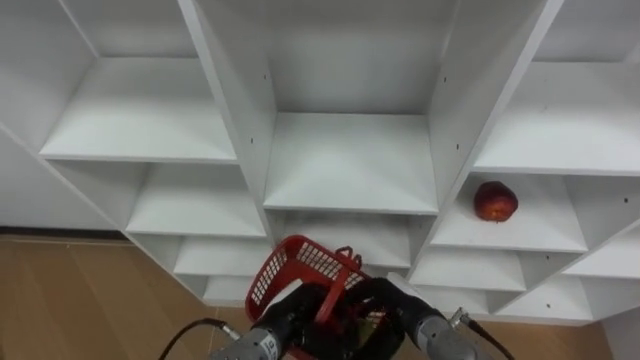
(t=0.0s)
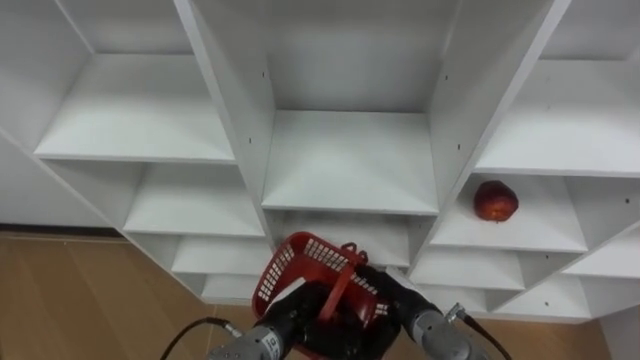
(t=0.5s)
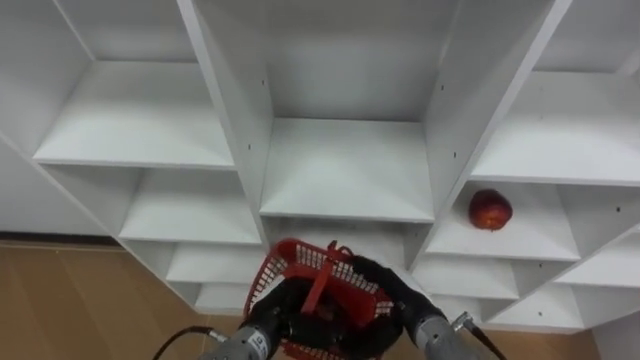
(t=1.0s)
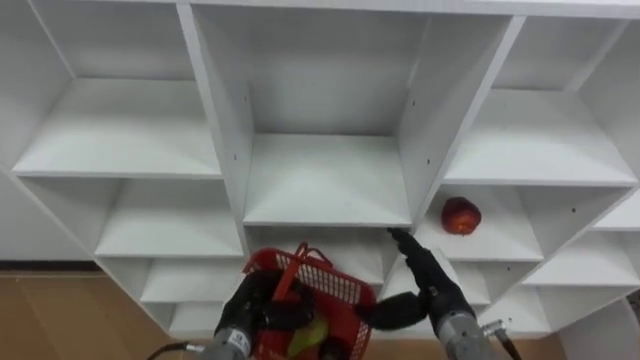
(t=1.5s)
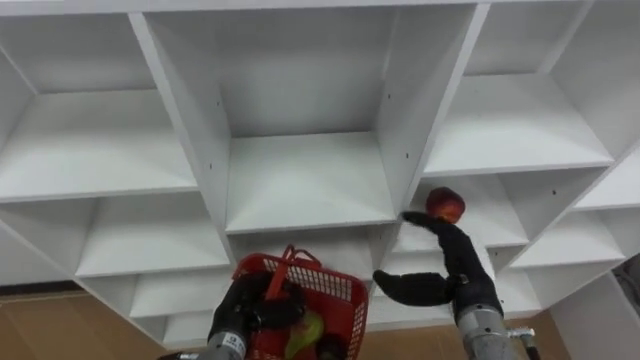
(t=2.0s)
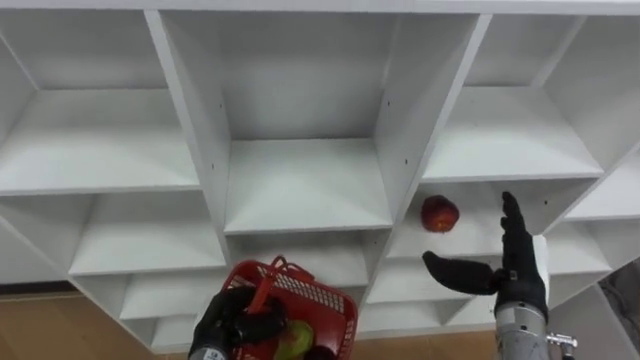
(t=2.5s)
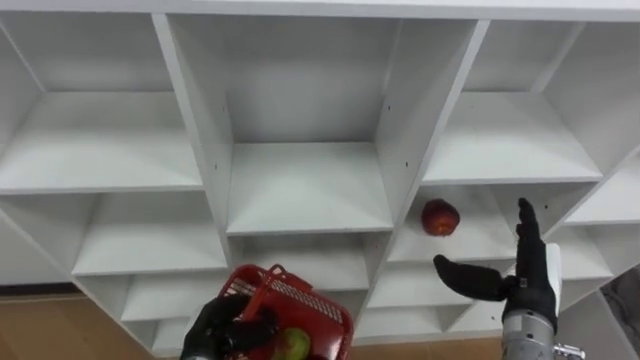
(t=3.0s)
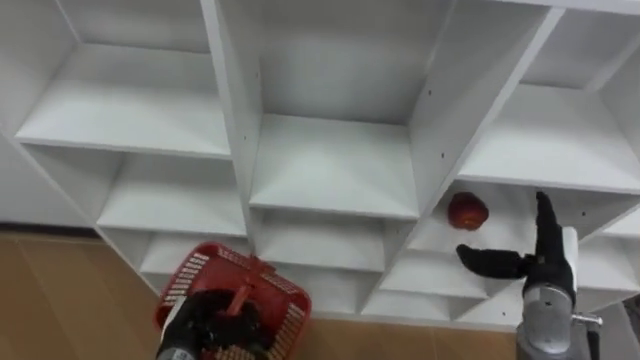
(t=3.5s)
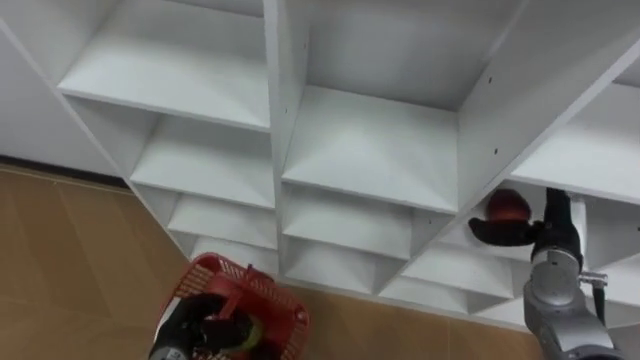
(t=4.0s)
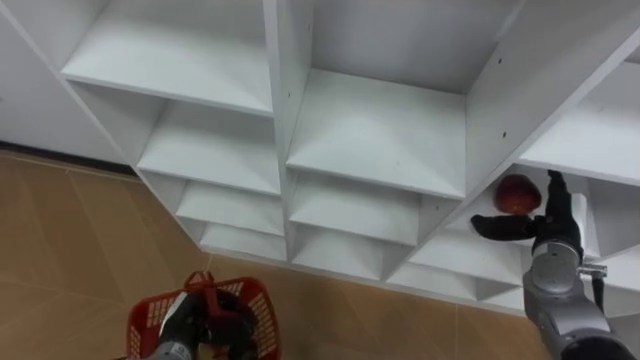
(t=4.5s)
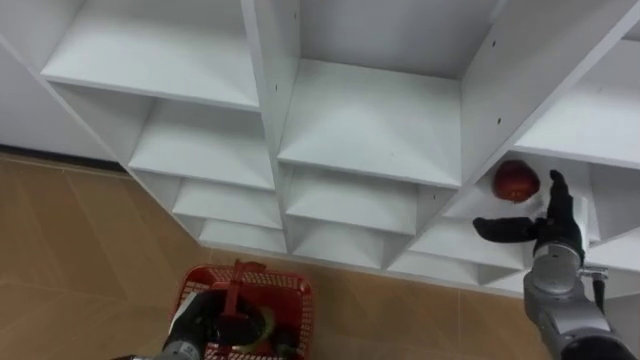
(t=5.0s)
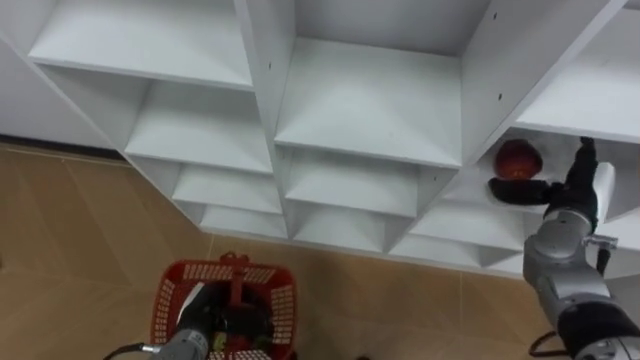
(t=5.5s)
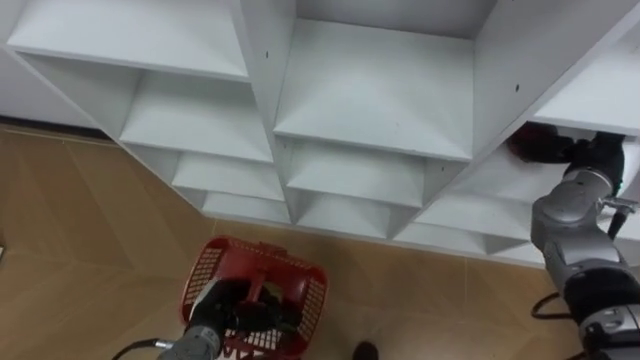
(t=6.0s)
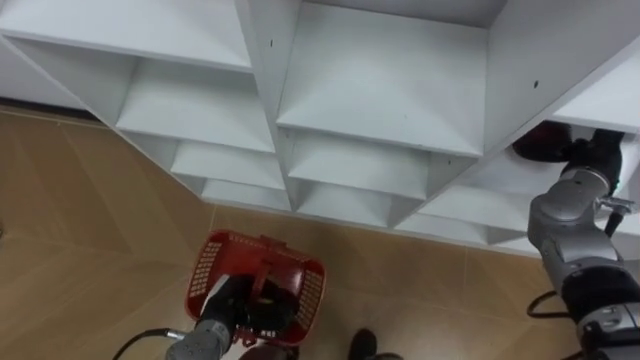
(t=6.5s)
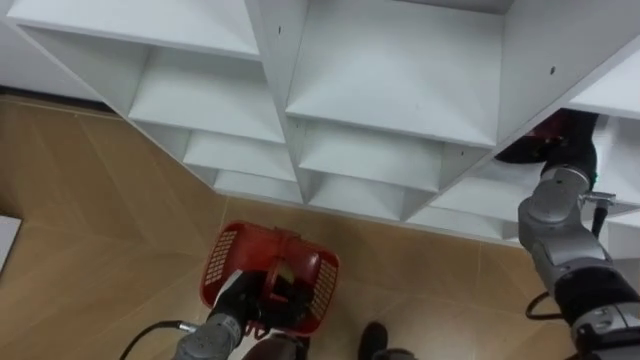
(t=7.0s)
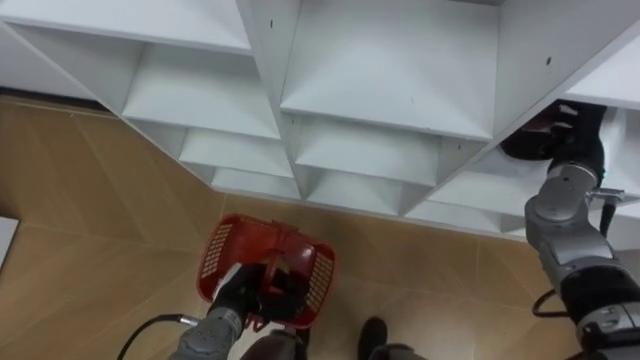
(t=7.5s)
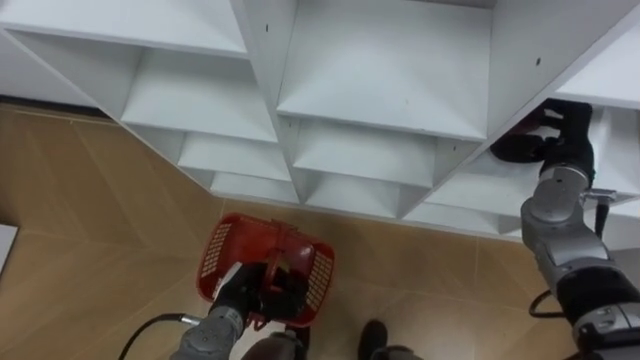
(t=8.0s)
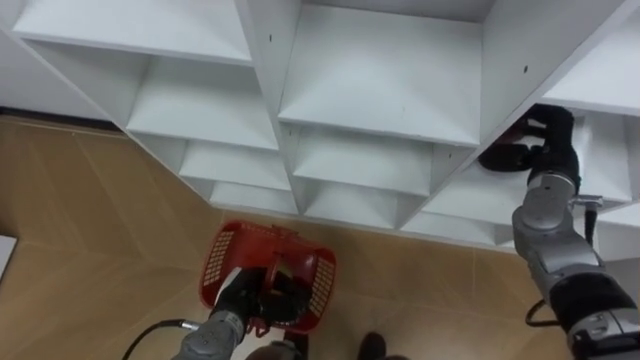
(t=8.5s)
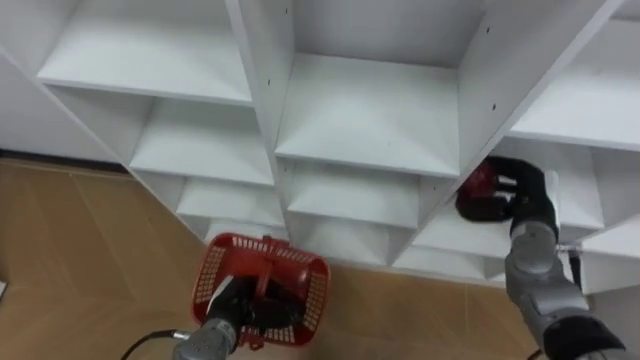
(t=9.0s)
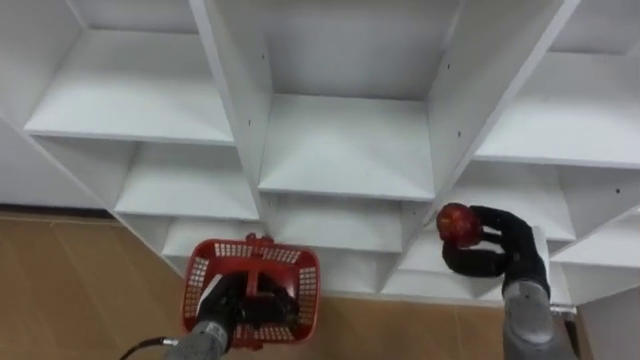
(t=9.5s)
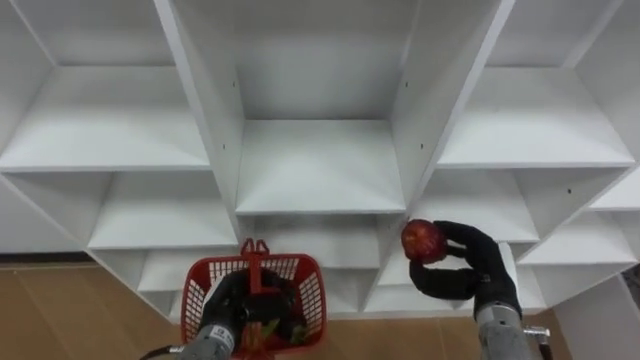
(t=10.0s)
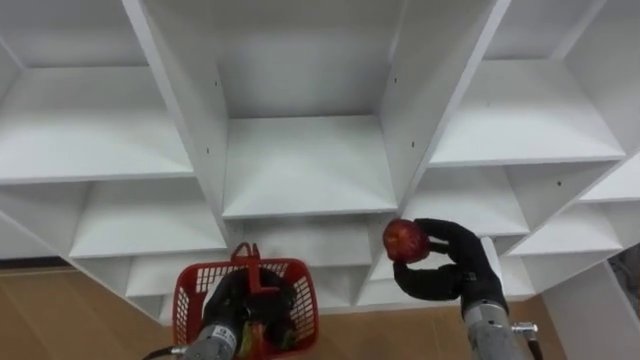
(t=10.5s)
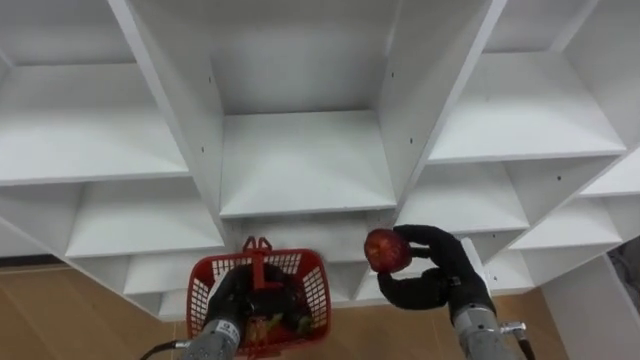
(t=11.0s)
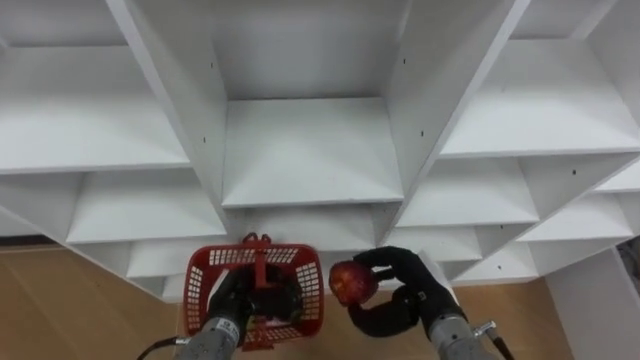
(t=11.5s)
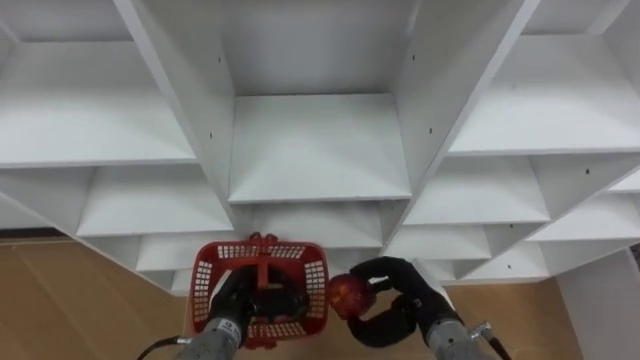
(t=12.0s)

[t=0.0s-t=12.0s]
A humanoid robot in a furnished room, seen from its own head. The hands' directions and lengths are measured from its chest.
Task of the whole recording: Hold the basket and collect the fruits from 3 different cells of the closet into it.
t=0.0s to t=2.0s: The left hand travels to the left by roughly 5 cm; the right hand moves upward and to the right, some 10 cm.
t=2.0s to t=4.0s: The right hand goes roughly 15 cm to the right and forward; the left hand travels to the left by some 10 cm.
t=4.0s to t=6.0s: The right hand goes roughly 10 cm upward and forward.
t=6.0s to t=8.0s: The right hand closes up.
t=8.0s to t=10.0s: The right hand heads backward, downward and to the left, covering some 20 cm.
t=10.0s to t=12.0s: The right hand moves to the left, some 10 cm.

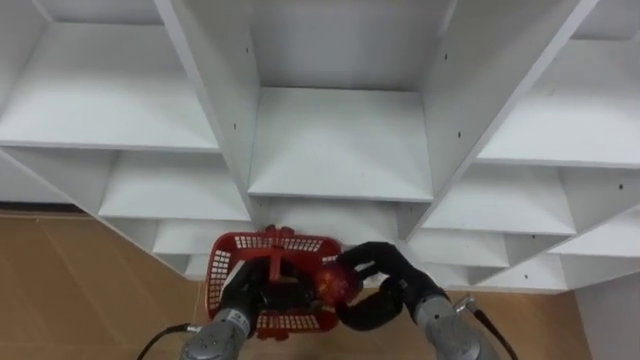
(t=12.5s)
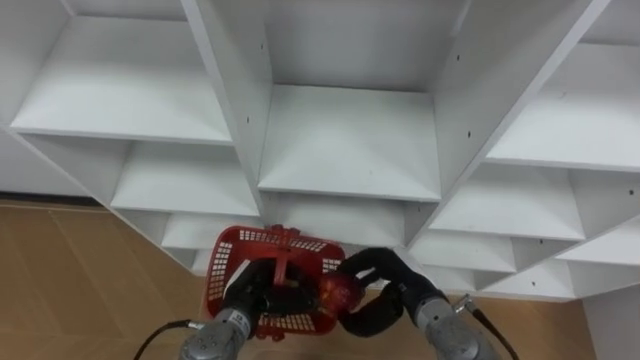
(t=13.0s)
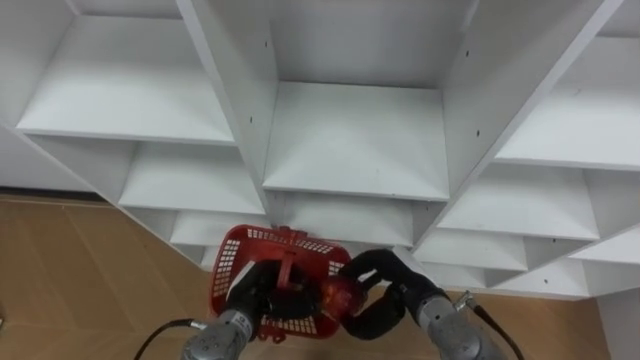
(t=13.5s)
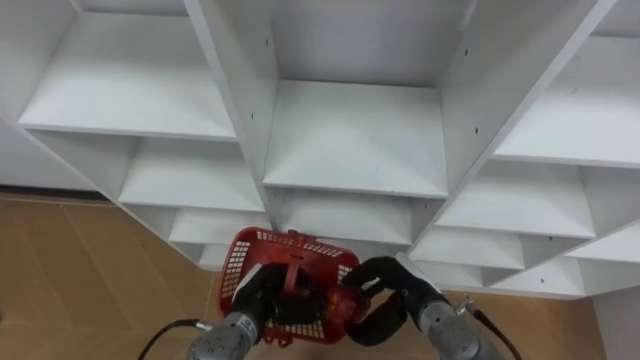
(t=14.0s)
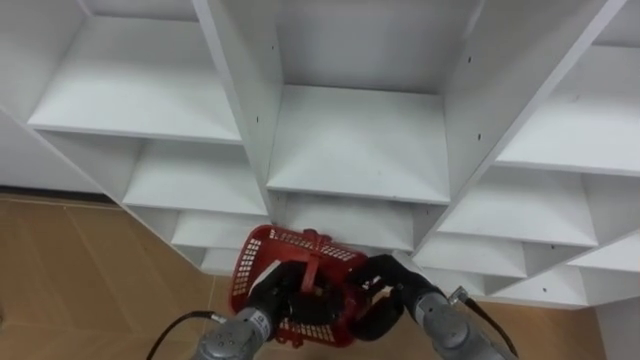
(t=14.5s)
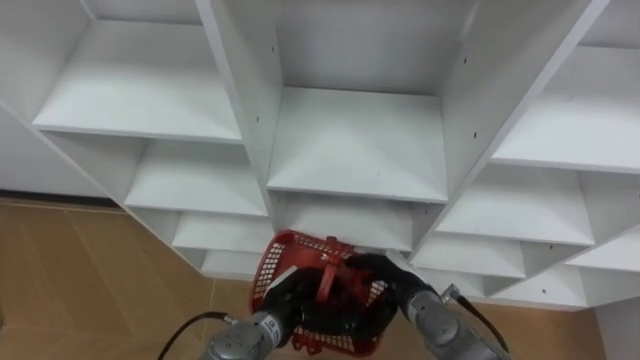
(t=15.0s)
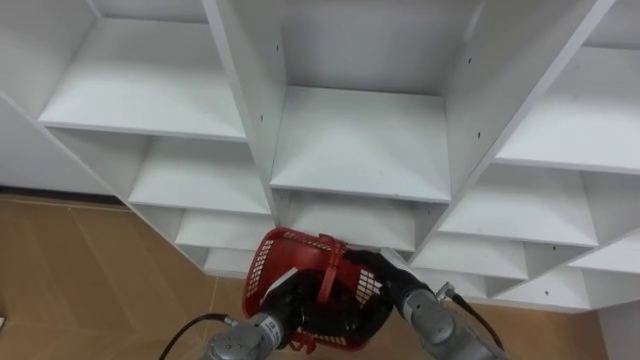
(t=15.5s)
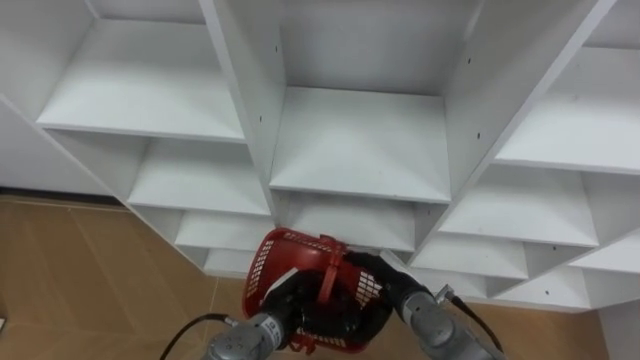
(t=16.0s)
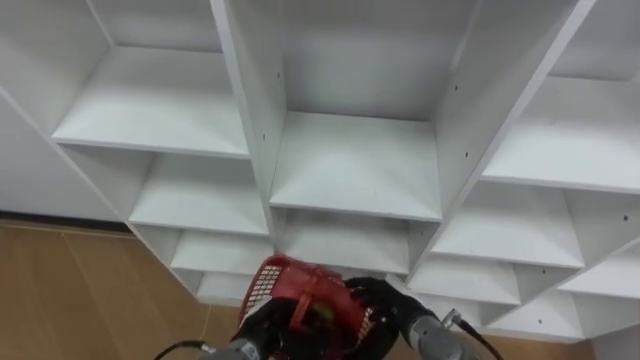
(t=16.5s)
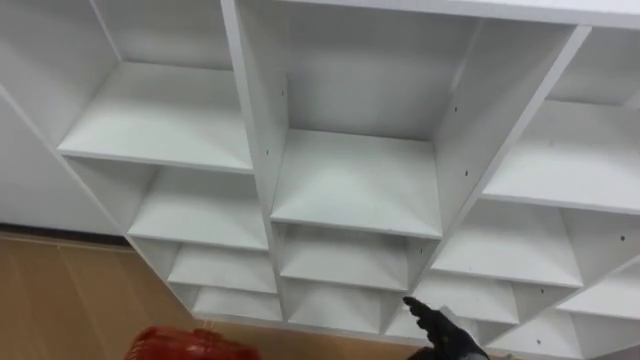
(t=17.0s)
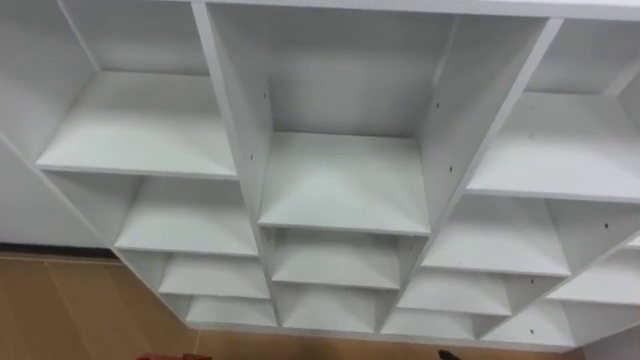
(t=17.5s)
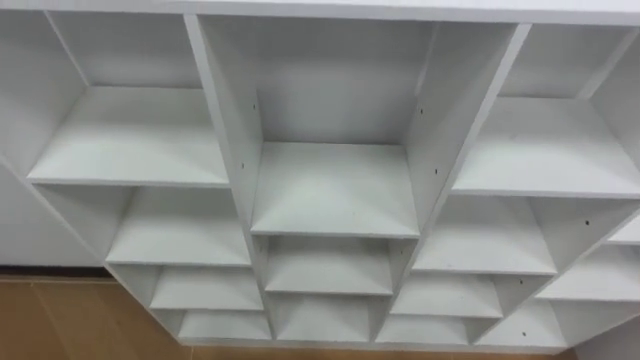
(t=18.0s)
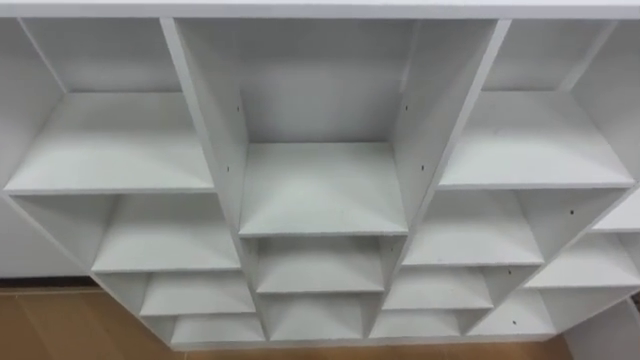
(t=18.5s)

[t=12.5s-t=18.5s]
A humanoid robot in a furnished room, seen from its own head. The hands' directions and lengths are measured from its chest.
Task of the whole recording: Hold the basket and collect the fruits from 3 different cells of the closet into it.
t=14.5s to t=16.5s: The left hand shifts by roughly 5 cm, while the right hand opens up.
